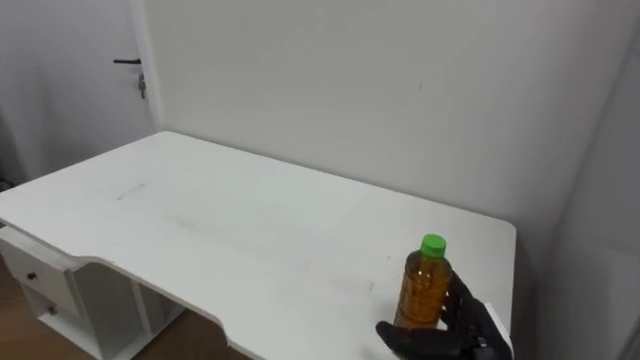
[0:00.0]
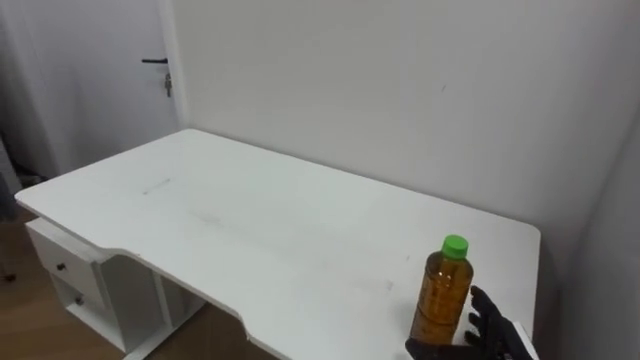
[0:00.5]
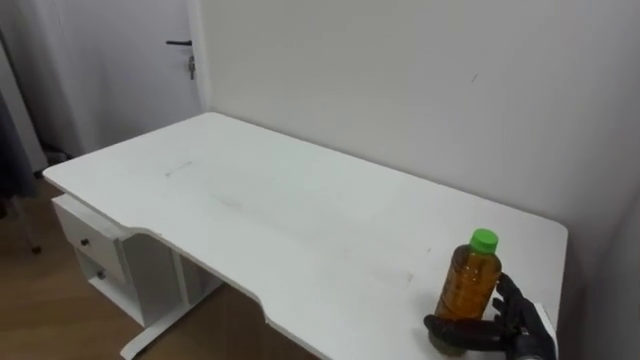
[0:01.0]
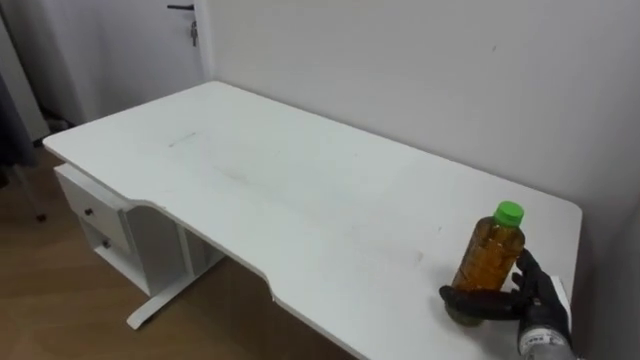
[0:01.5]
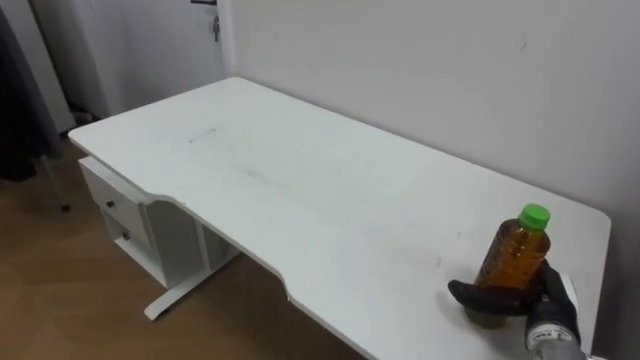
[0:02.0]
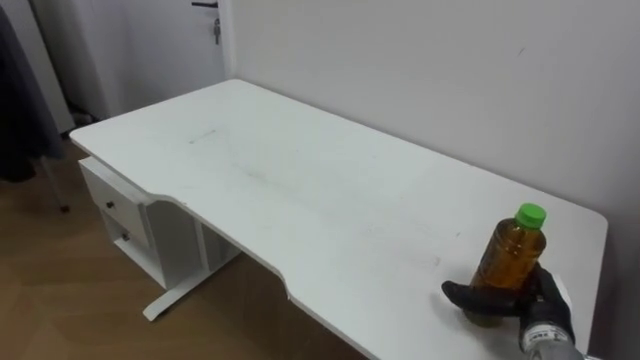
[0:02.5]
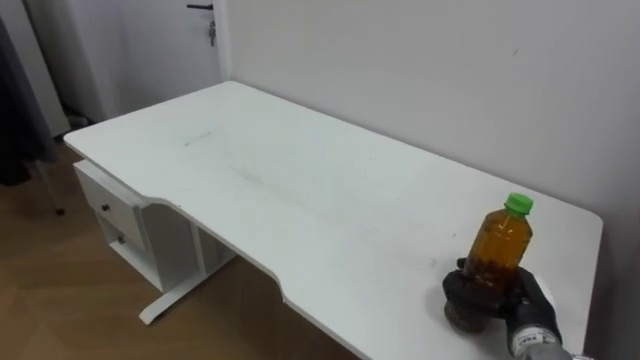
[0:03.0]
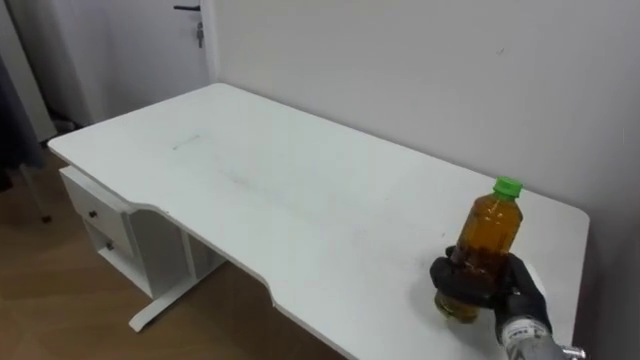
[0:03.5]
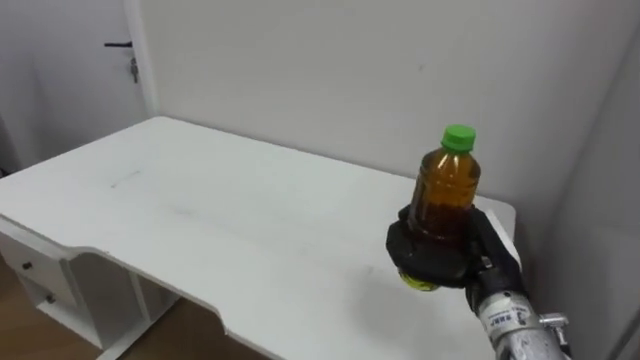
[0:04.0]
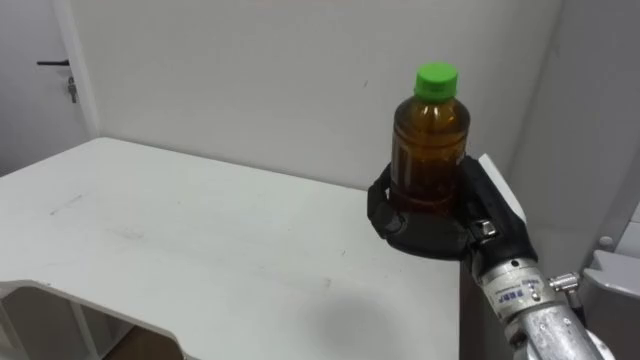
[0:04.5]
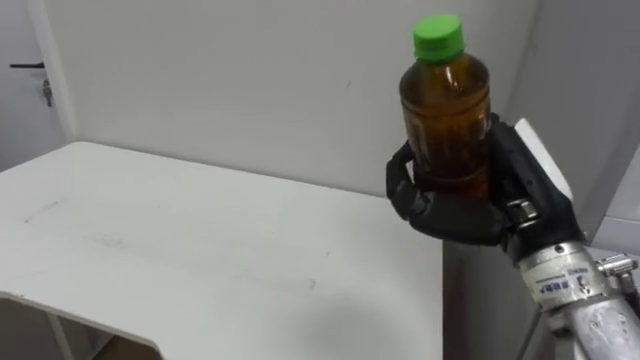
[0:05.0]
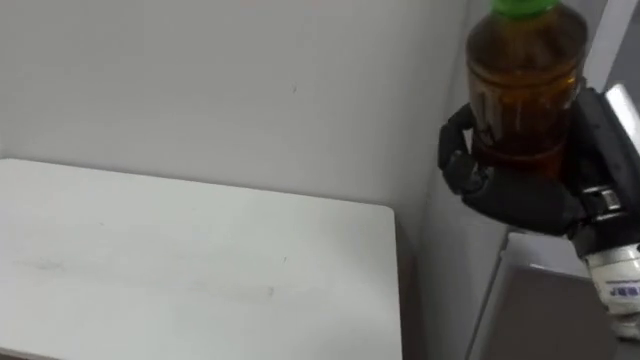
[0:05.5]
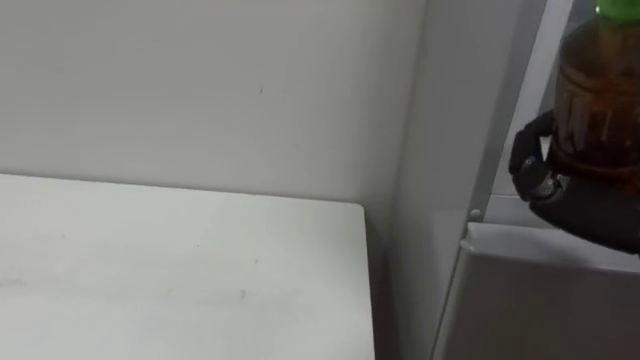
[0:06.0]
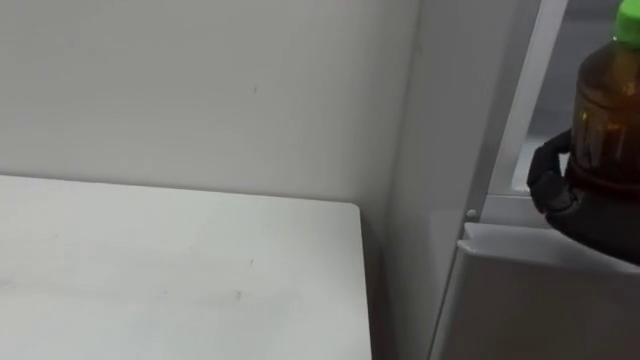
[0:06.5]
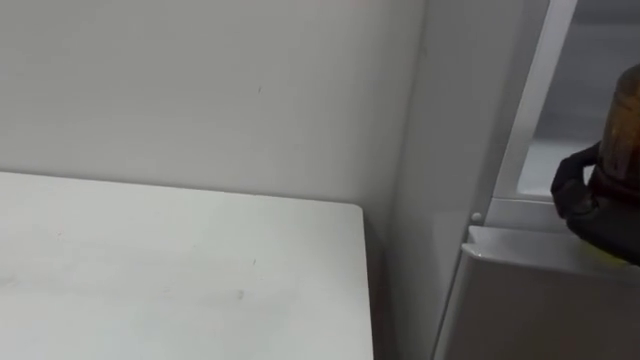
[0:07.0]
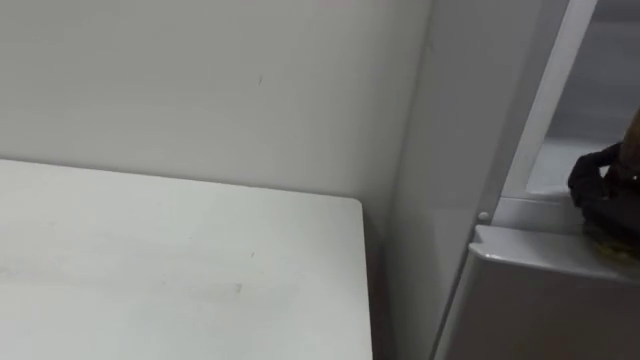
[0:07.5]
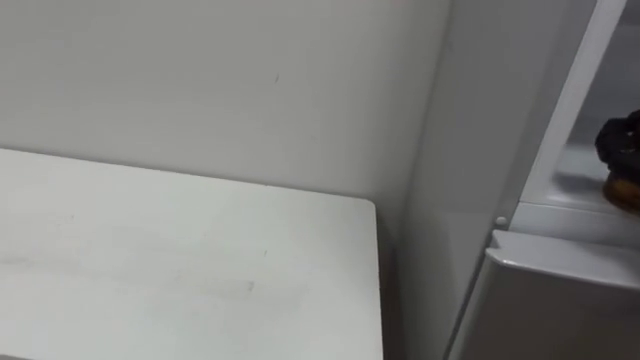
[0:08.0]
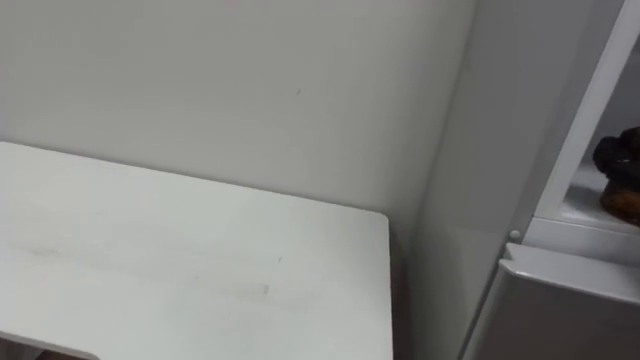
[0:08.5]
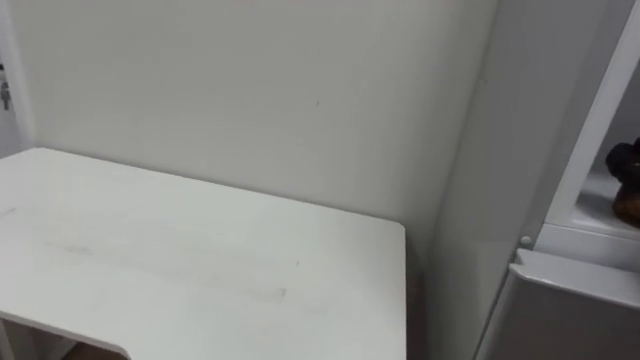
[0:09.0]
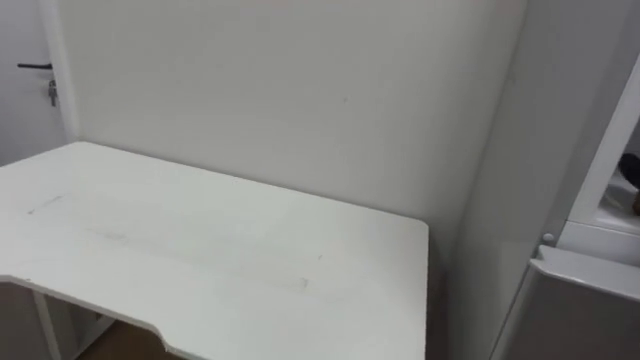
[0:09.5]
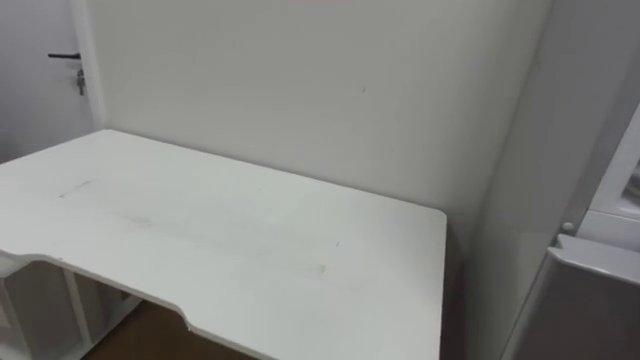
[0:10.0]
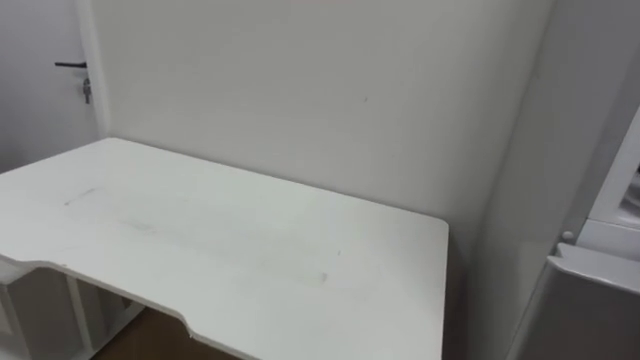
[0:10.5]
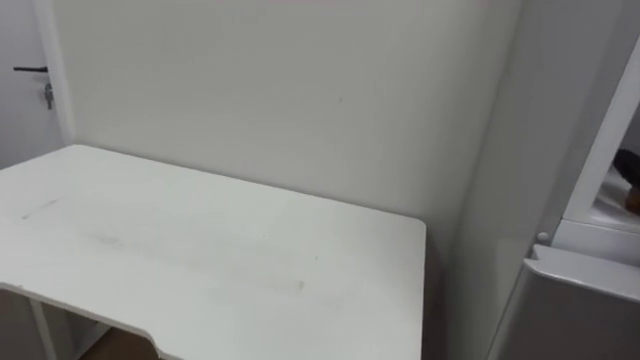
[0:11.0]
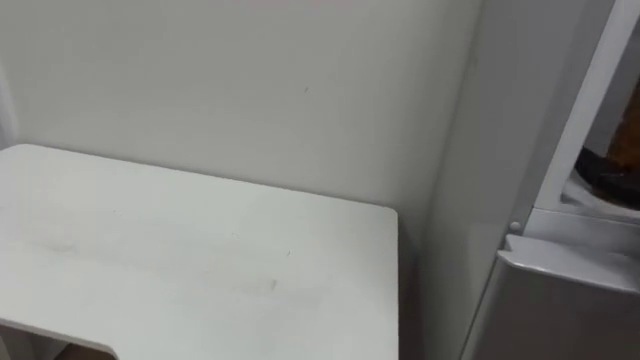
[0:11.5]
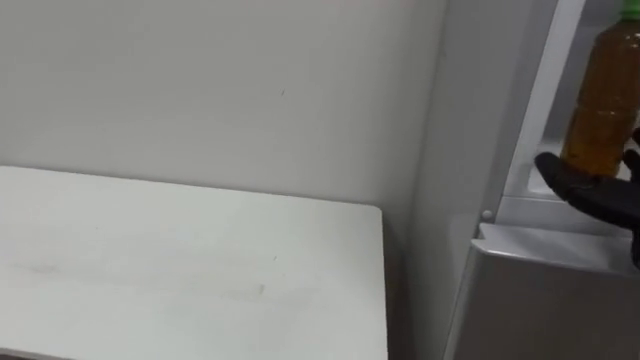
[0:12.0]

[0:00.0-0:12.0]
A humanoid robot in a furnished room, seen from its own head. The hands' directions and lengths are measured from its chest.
Task of the whole recording: Open the upper refrigerator door, put the drink from the table into the refrigerator, and then close the refrigerator door.
0:00.0 to 0:02.0: The right hand goes some 10 cm to the right.
0:02.0 to 0:04.0: The right hand heads upward and to the left, covering some 15 cm, and closes.

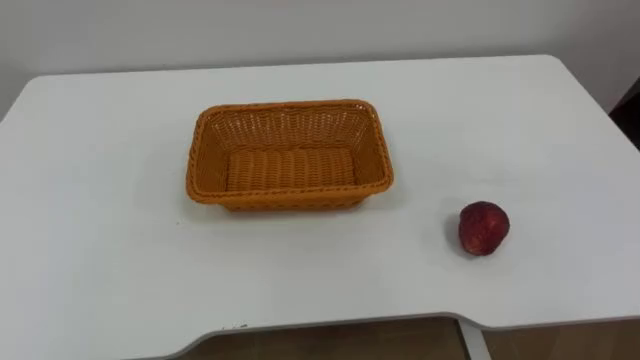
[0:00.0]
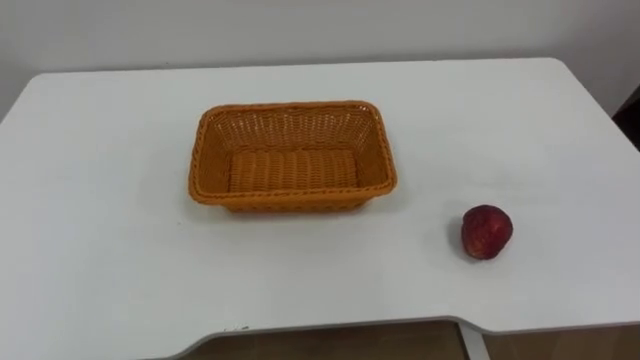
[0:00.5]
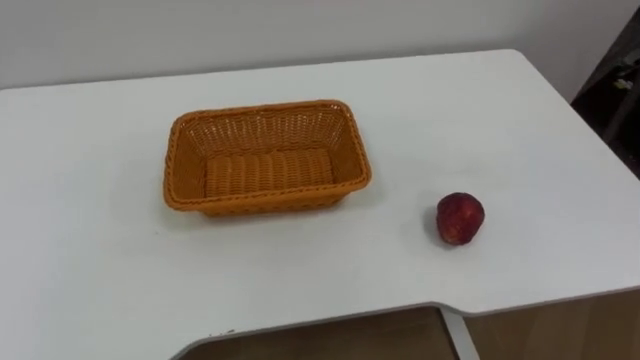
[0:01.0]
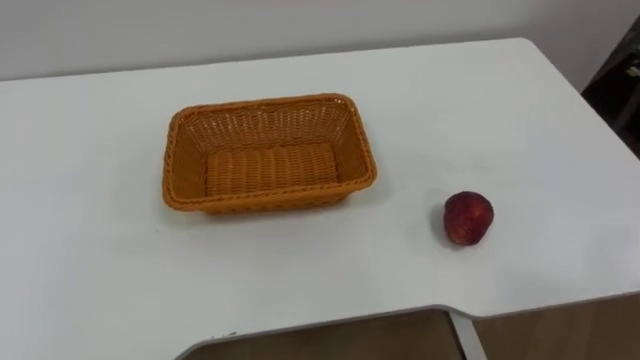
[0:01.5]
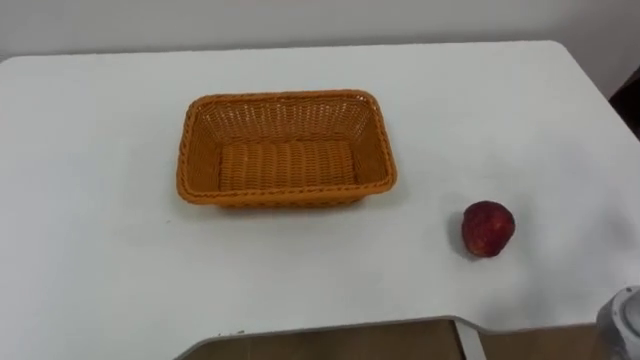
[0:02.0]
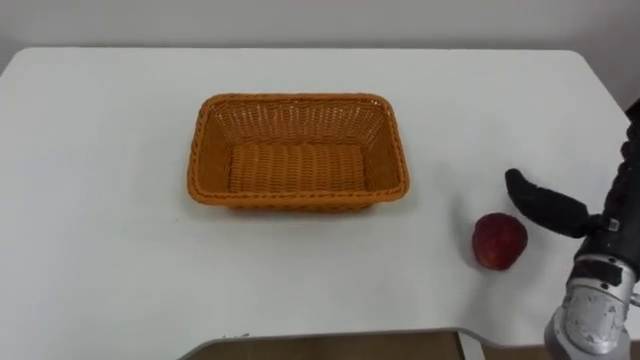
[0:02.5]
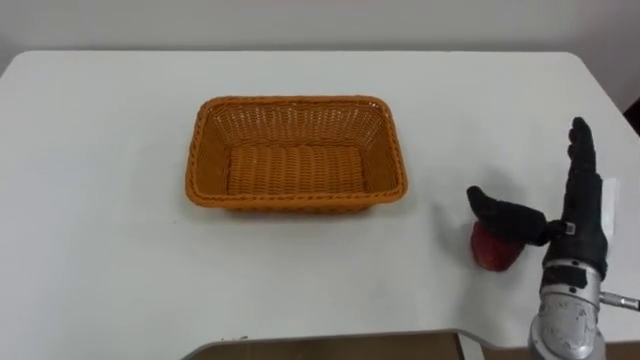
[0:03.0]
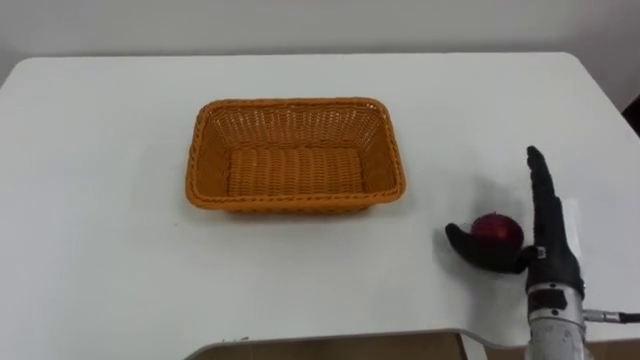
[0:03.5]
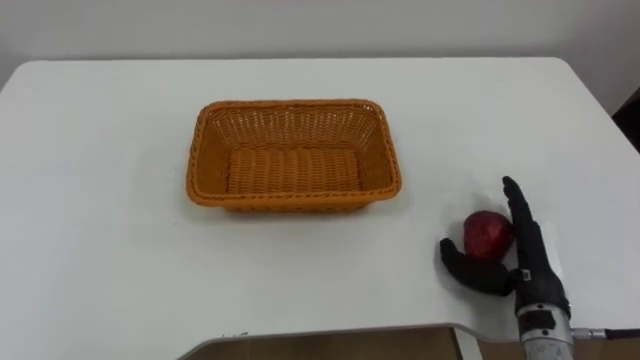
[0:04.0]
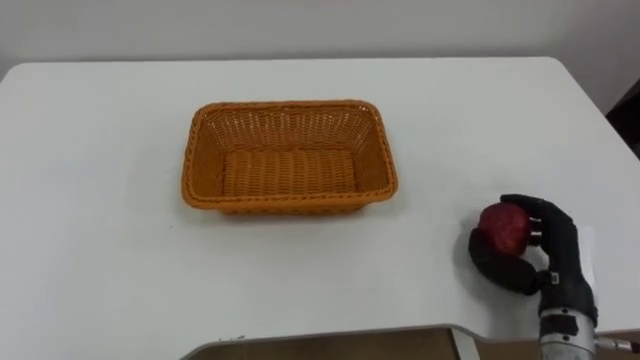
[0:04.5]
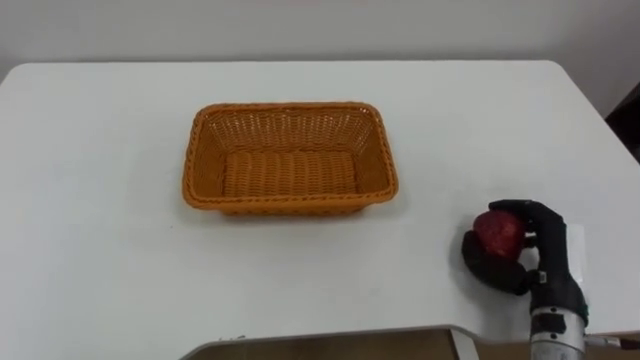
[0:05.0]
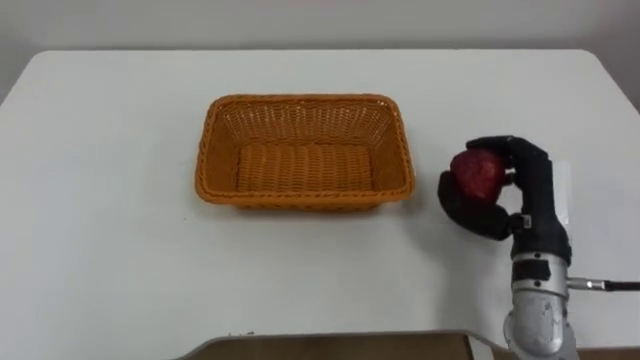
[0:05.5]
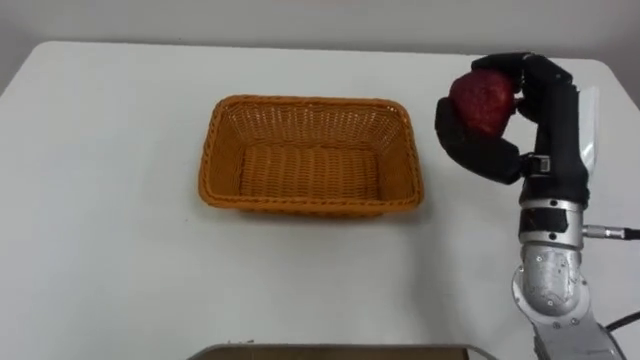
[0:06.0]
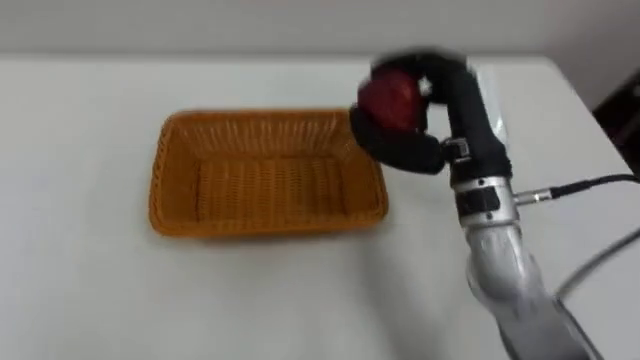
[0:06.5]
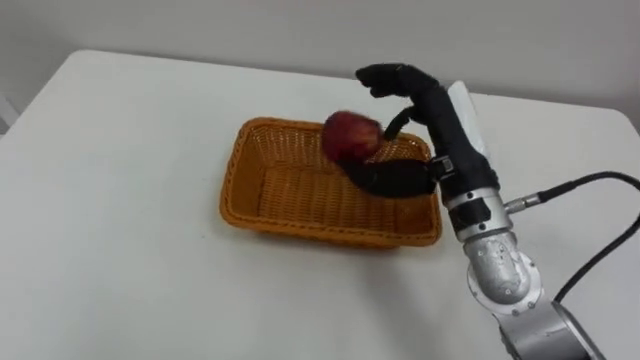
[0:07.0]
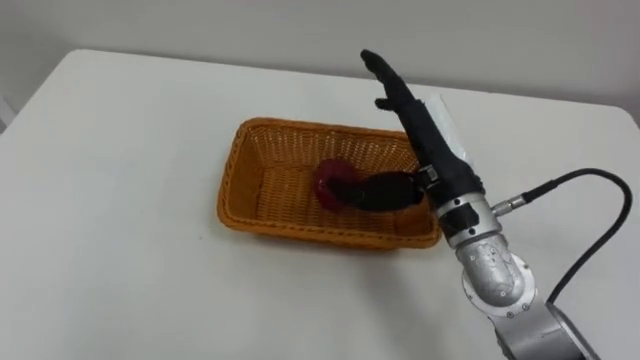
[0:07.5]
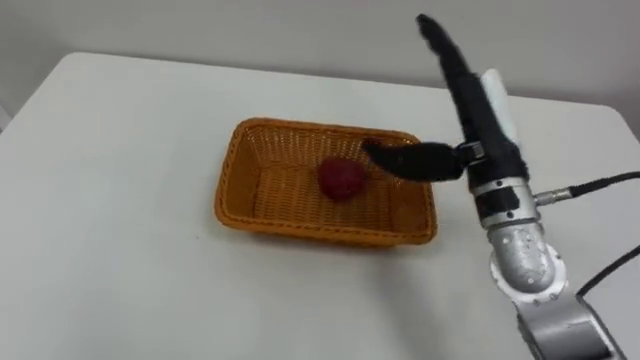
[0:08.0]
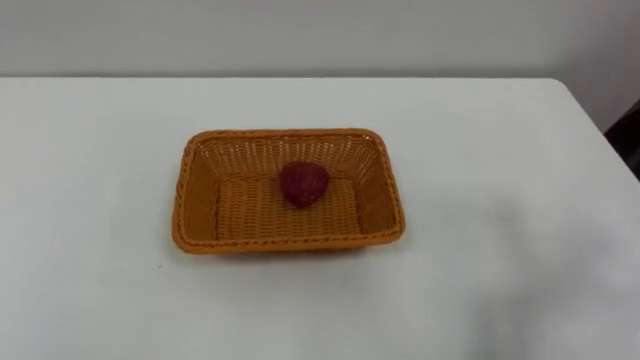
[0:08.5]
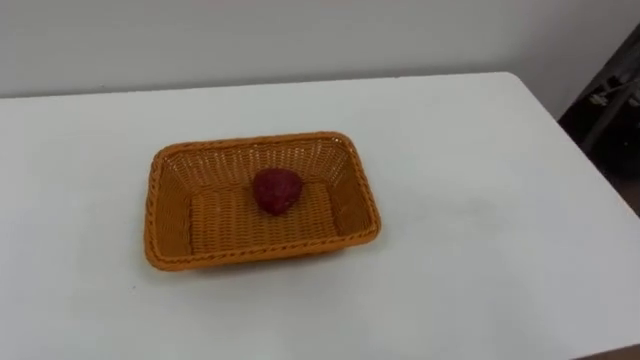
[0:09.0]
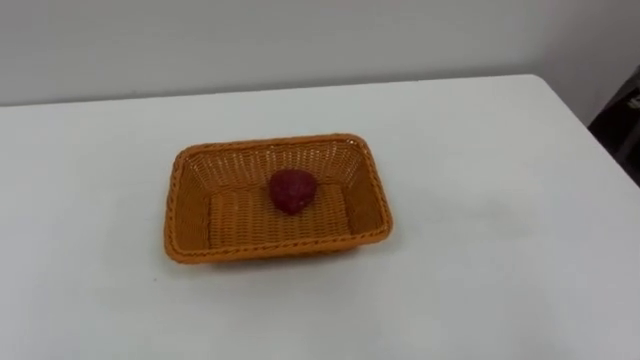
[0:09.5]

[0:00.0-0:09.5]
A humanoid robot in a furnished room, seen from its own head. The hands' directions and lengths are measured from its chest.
Task of the whole recording: Pick the apple and place it in the box.
0:04.0 to 0:05.5: The right hand moves upward, roughly 10 cm, and closes up.
0:05.5 to 0:07.5: The right hand shifts some 15 cm to the left and upward, and opens.
